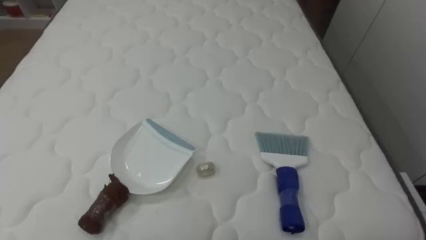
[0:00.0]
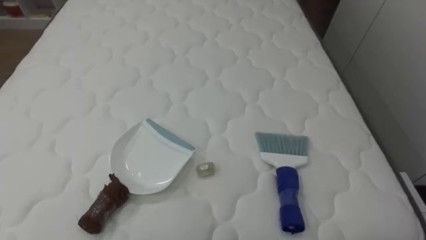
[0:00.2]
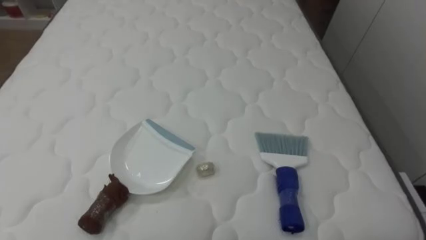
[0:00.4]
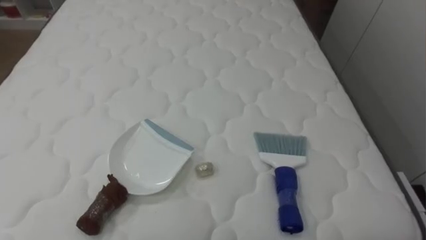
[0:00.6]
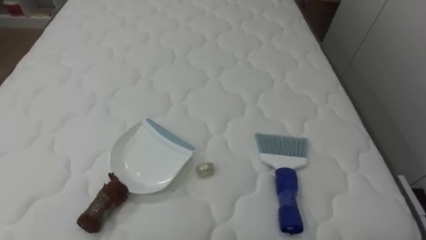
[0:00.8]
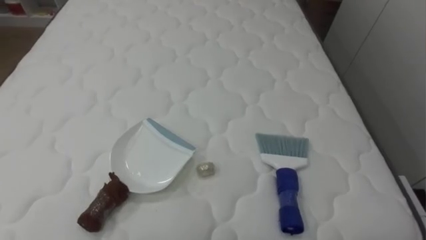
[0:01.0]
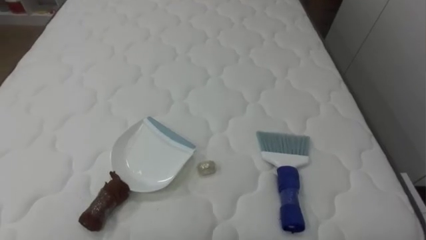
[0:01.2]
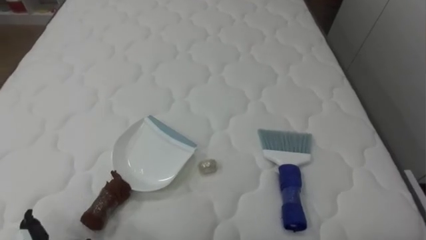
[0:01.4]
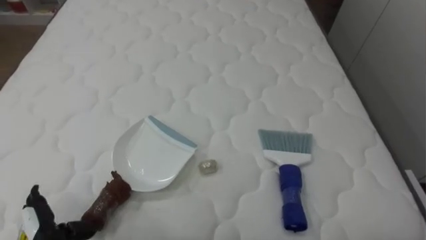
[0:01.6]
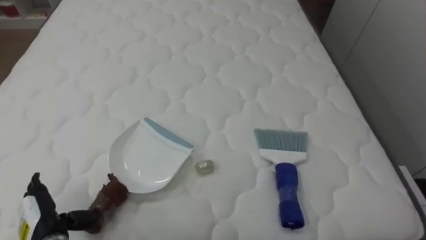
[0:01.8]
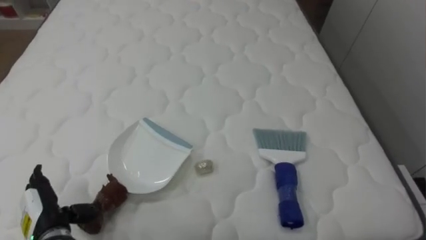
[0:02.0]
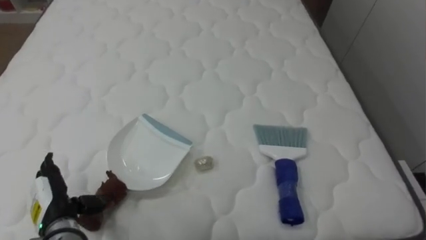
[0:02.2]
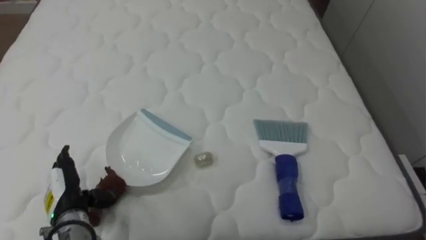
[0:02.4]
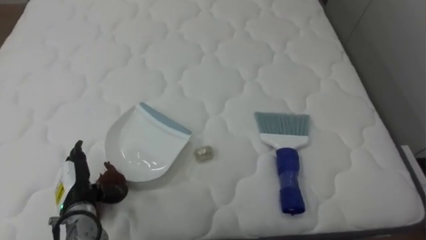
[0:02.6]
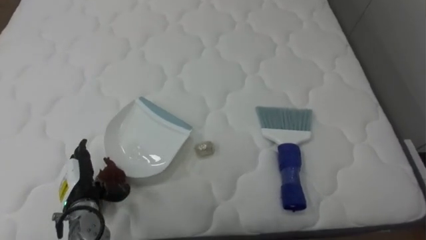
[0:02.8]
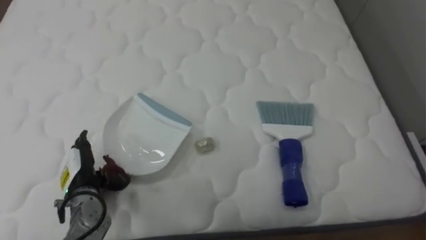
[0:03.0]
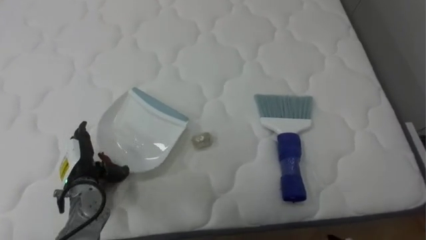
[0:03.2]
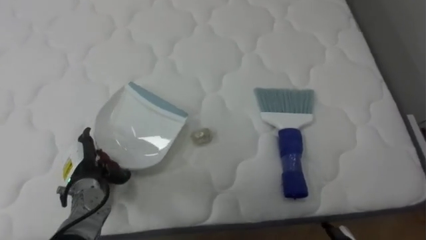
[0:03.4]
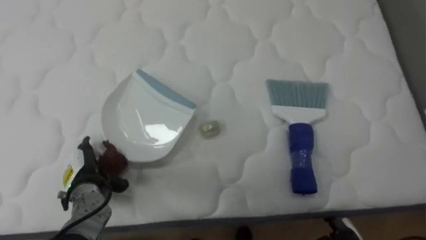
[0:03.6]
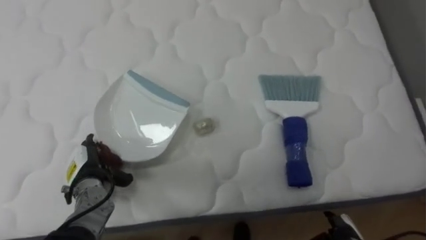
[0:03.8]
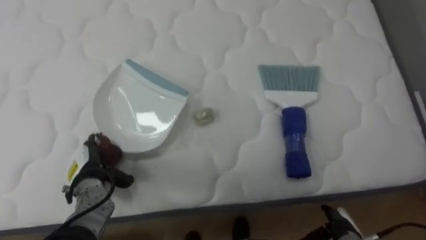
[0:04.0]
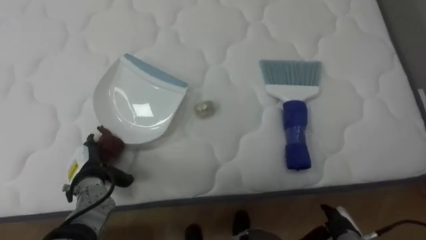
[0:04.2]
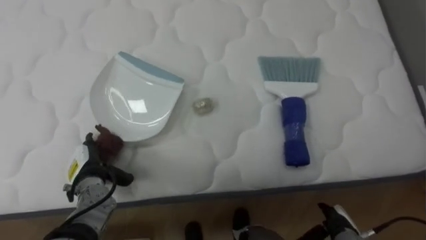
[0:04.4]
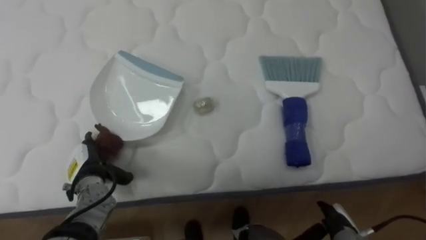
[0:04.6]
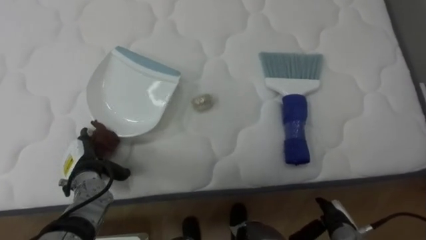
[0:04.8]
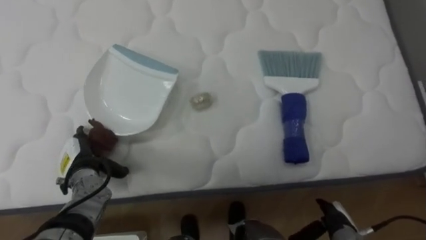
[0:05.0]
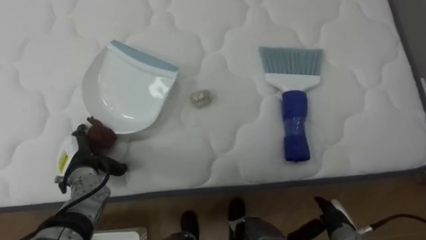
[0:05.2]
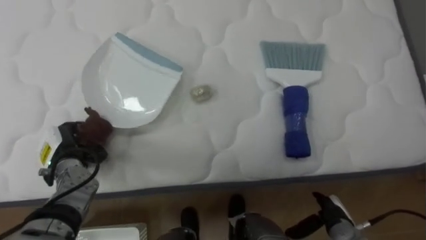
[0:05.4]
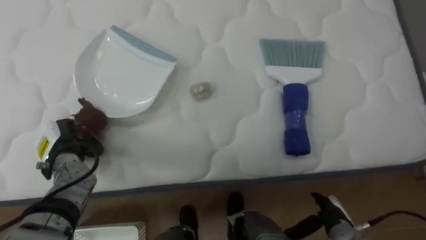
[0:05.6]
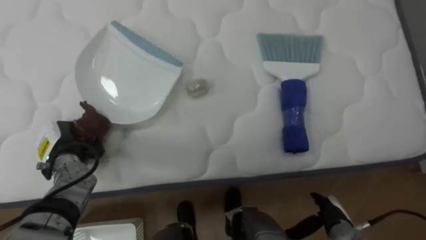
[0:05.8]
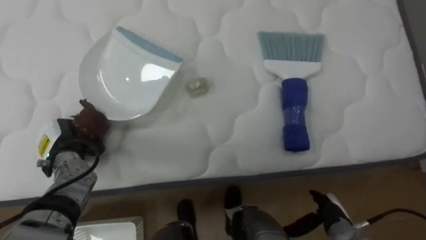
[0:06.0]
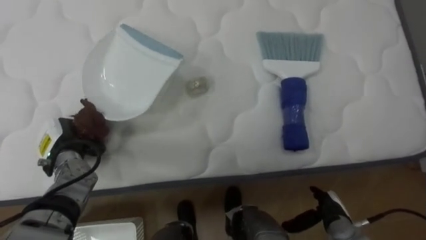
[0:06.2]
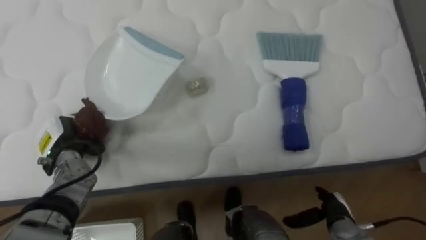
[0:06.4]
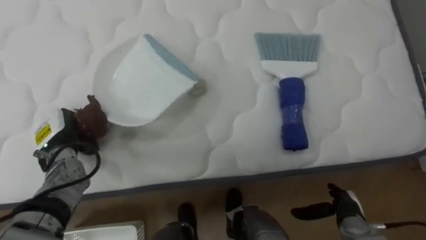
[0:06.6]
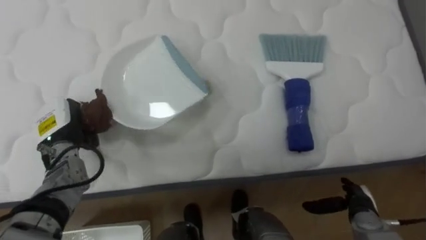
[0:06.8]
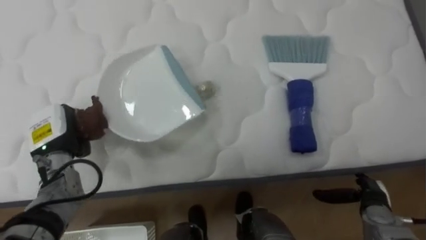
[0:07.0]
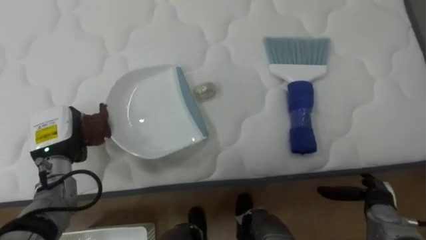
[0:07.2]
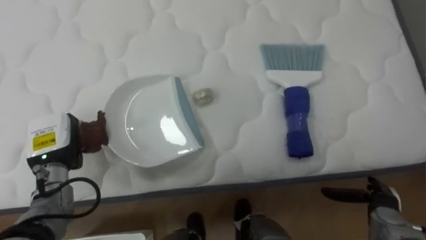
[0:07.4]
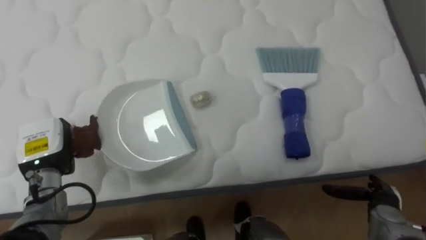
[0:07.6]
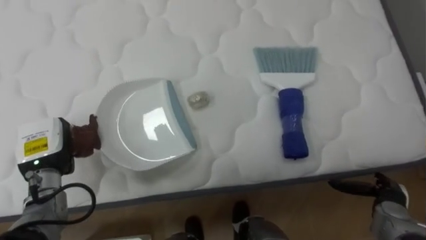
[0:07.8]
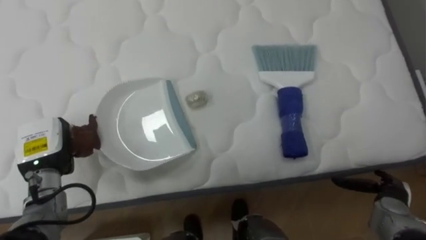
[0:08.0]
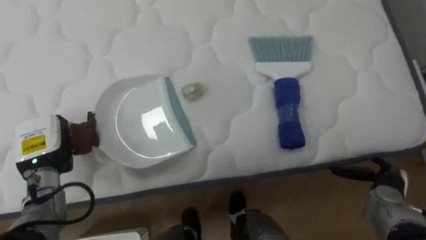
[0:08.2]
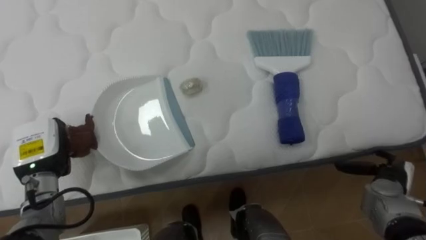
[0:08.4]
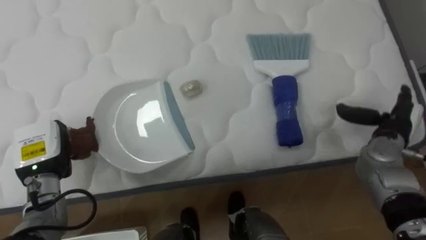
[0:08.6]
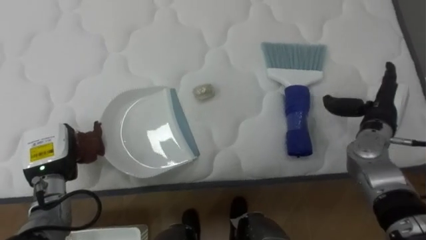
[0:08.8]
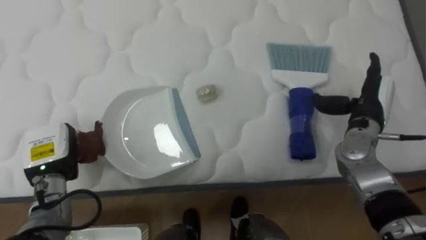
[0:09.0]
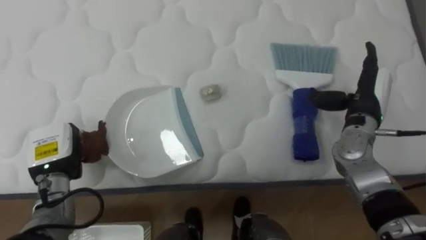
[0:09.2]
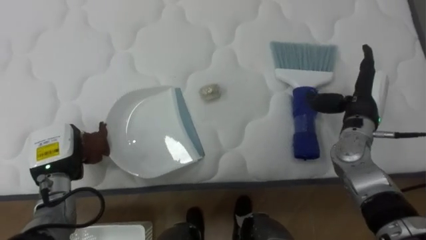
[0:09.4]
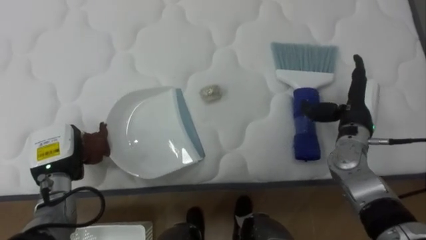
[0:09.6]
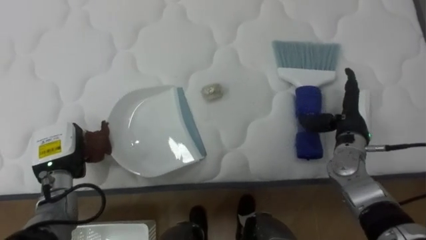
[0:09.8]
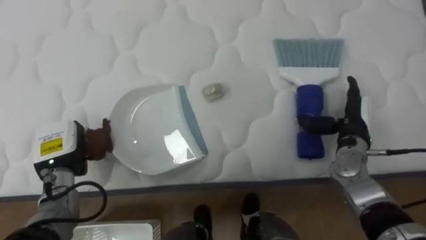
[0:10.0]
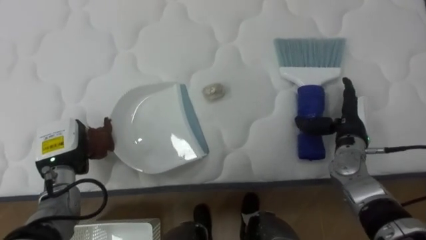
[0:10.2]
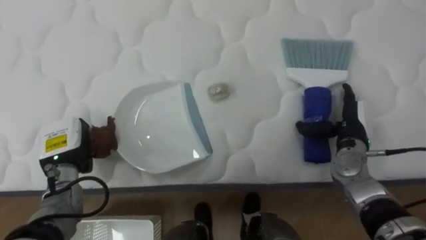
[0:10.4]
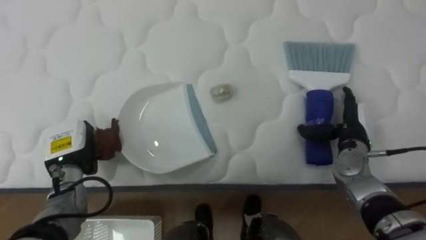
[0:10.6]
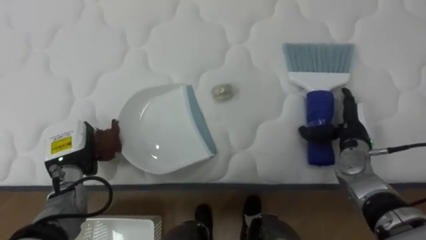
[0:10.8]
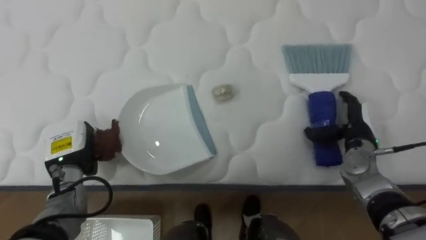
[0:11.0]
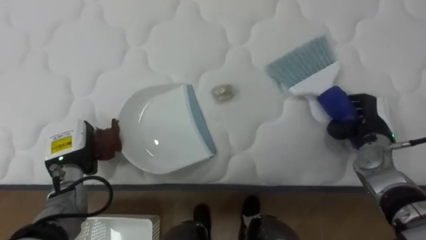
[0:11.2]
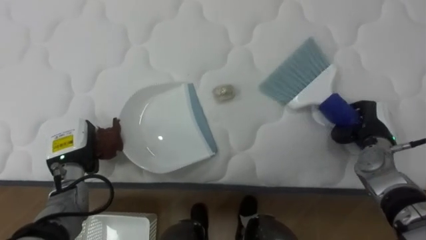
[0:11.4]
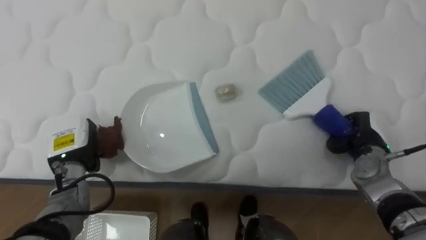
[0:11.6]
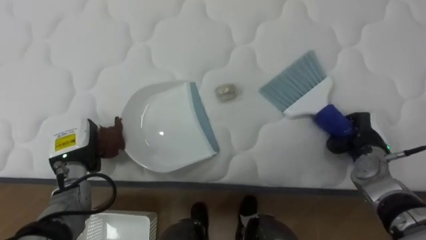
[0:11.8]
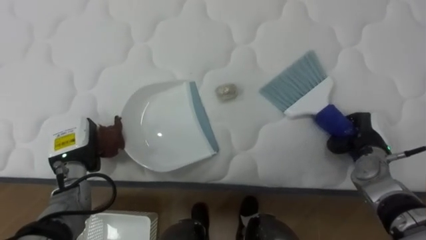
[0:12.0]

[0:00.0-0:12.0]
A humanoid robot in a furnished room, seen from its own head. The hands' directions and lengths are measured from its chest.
Task of the whole recording: Pick up the brush on your right and the dustpan on your left. Use the brush to sweep the crumpled paper on the bed into the dustpan, then turn left and empty it into the basket.
0:01.6 to 0:03.0: The left hand moves forward and to the right, about 10 cm.
0:04.4 to 0:06.0: The left hand shifts approximately 5 cm upward, and closes its fingers.
0:06.0 to 0:07.6: The right hand heads to the right, covering about 10 cm.
0:07.6 to 0:09.0: The right hand shifts roughly 20 cm upward and forward.
0:09.0 to 0:10.4: The right hand heads downward, covering some 5 cm.
0:10.4 to 0:12.0: The right hand ends up approximately 5 cm from where it was, and closes up.

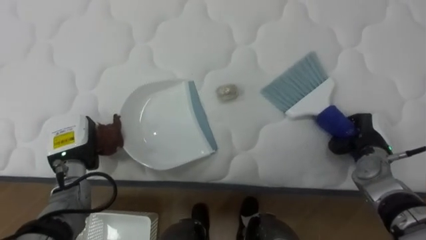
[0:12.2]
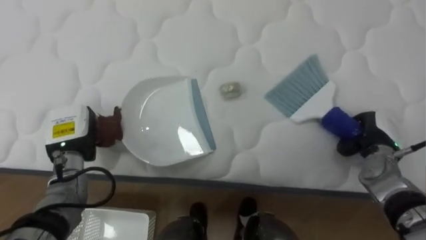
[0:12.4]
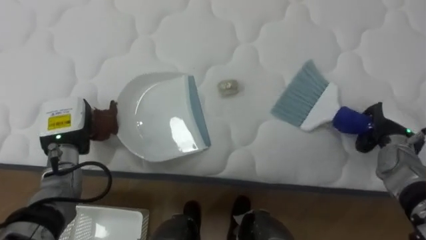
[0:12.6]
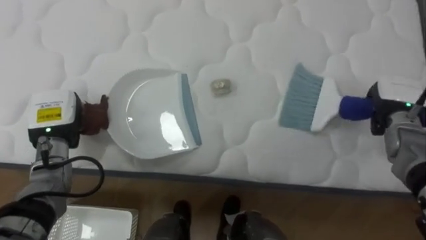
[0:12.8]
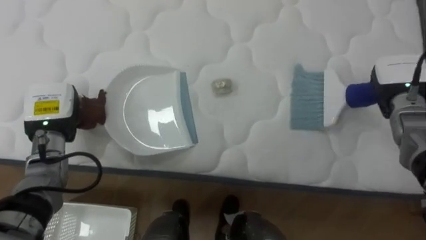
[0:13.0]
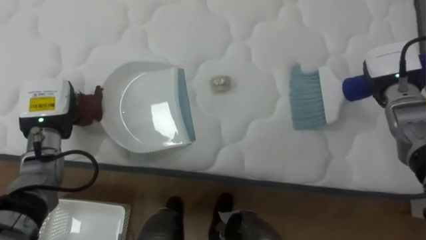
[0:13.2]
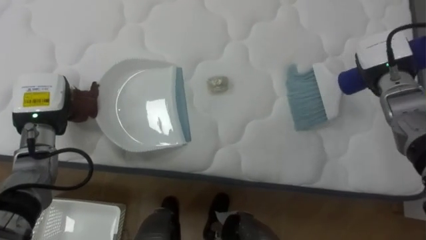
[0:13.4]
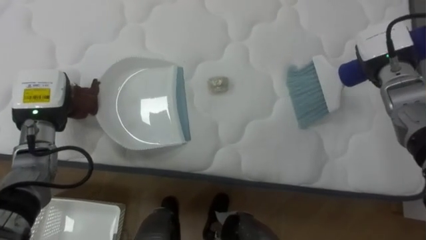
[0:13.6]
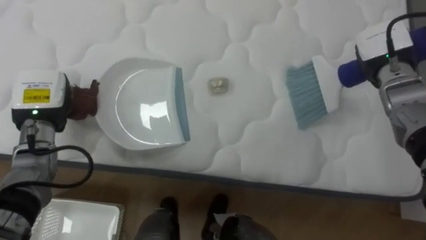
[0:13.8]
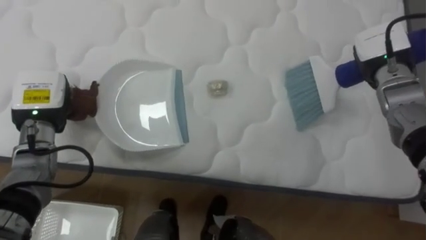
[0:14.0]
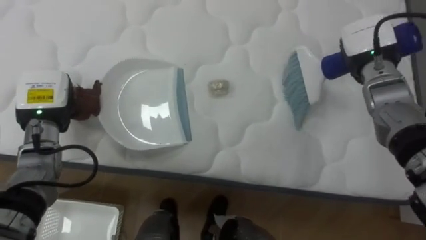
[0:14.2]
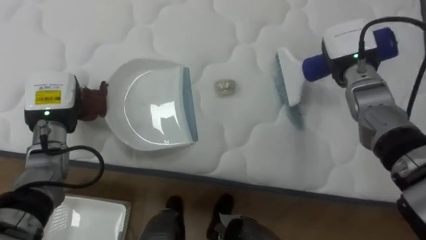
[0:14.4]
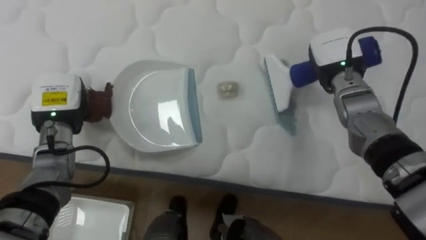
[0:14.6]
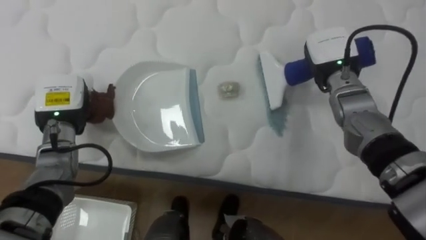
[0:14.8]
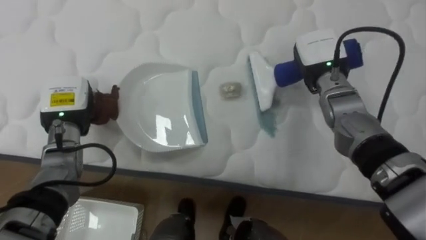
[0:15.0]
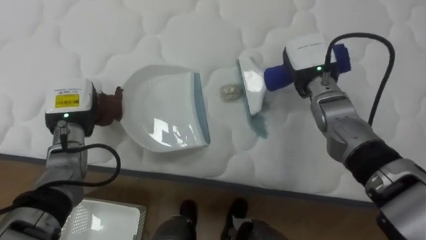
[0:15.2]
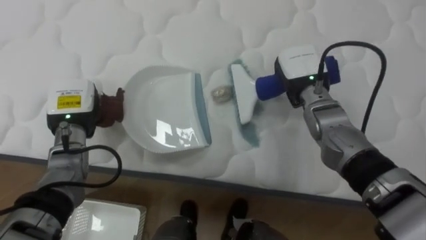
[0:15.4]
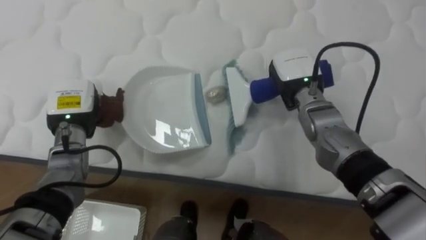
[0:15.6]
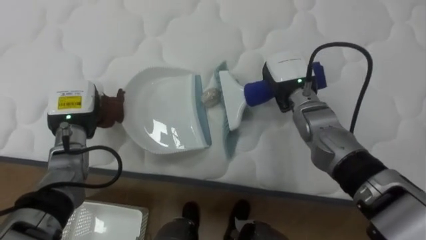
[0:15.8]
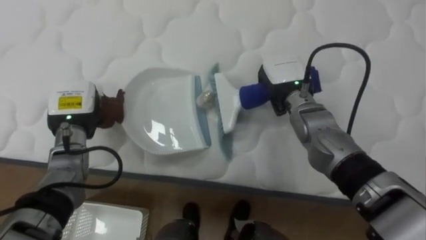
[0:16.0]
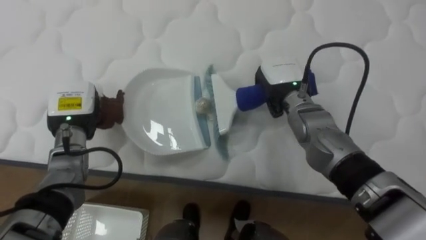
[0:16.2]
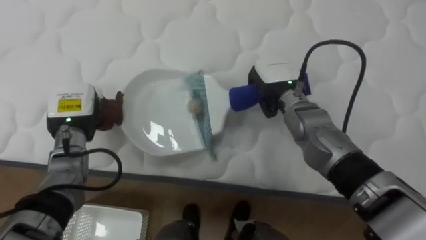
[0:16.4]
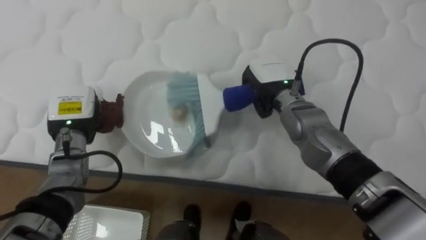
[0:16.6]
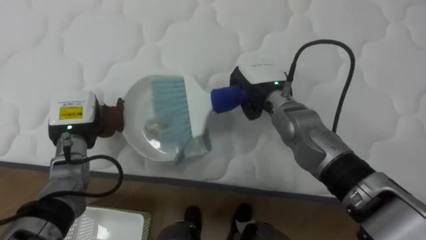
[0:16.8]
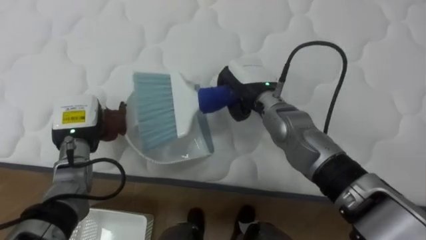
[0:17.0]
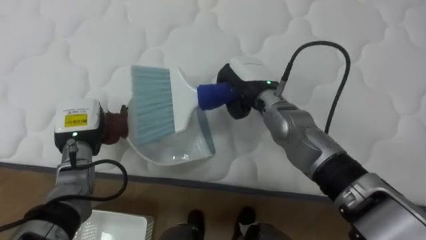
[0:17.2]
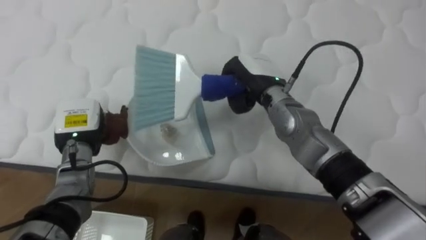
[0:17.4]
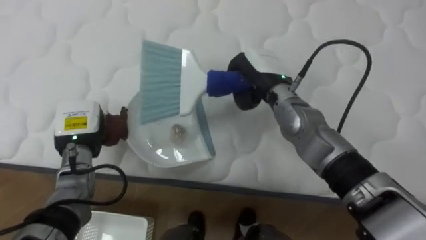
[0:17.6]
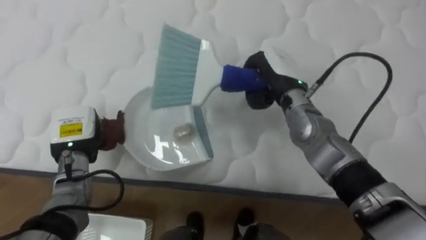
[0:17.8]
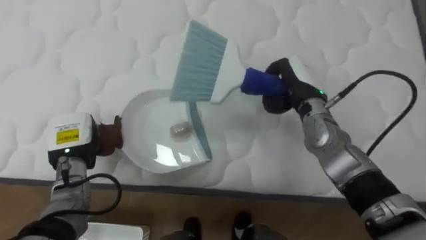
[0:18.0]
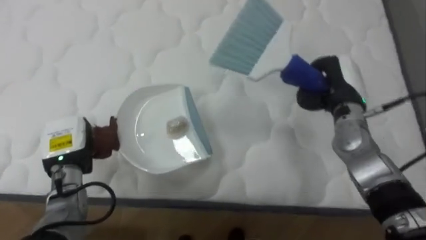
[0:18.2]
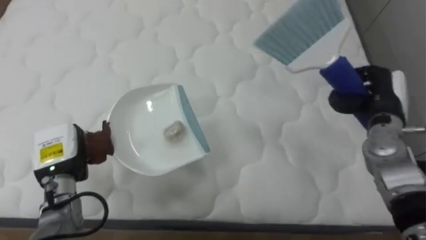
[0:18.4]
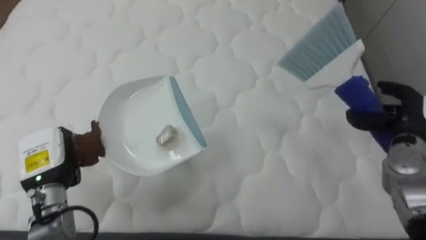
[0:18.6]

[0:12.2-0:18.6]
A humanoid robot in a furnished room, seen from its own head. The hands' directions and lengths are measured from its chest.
Task of the whole recording: Pick up the brush on your right and the dustpan on your left. Use the brush to sweep the crumpled paper on the bed into the dustpan, then turn left and empty it into the basket.
0:12.2 to 0:13.8: The right hand goes roughly 20 cm upward and forward, while the left hand travels upward by about 10 cm.
0:13.8 to 0:15.4: The left hand ends up about 5 cm from where it was. The right hand shifts some 15 cm to the left.
0:15.4 to 0:17.0: The right hand shifts about 10 cm to the left.
0:17.0 to 0:18.6: The left hand travels backward by approximately 10 cm. Meanwhile the right hand moves to the right, some 30 cm, and opens.
